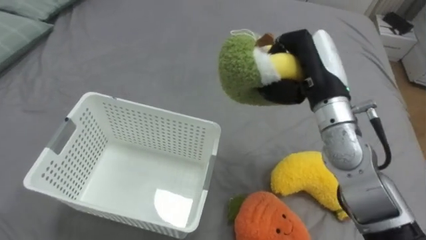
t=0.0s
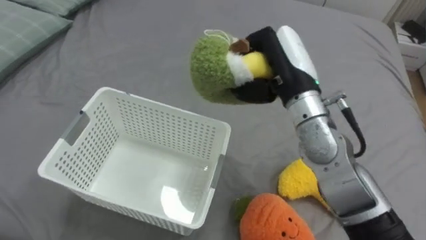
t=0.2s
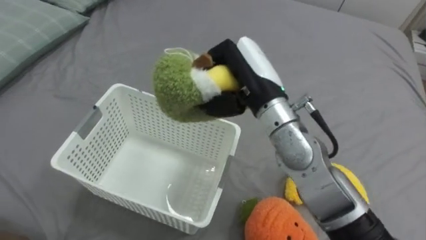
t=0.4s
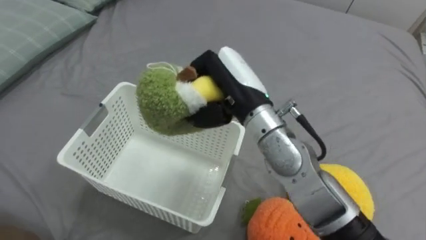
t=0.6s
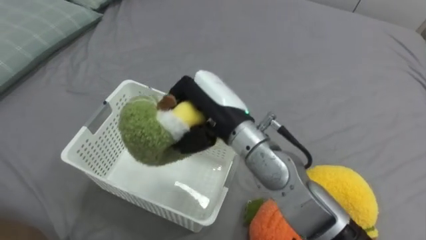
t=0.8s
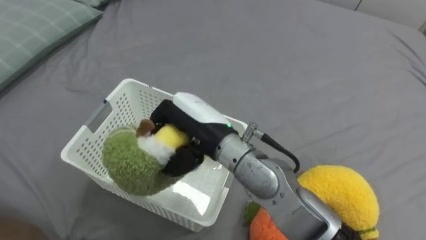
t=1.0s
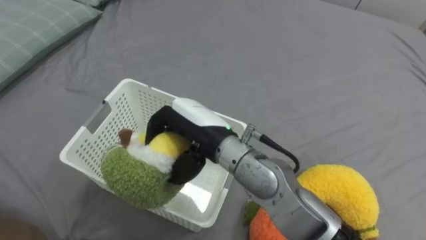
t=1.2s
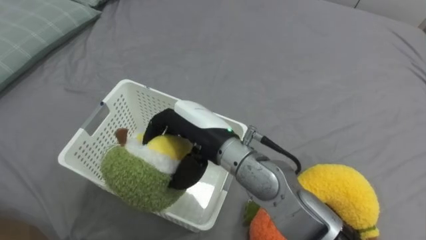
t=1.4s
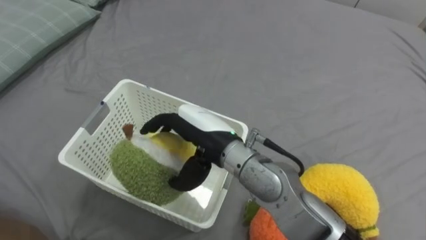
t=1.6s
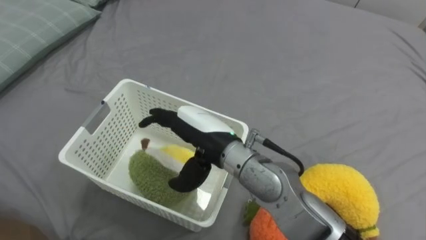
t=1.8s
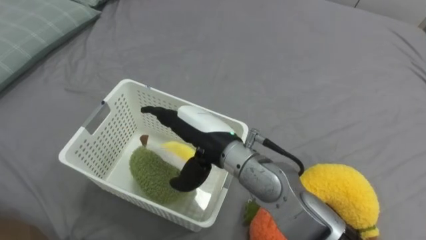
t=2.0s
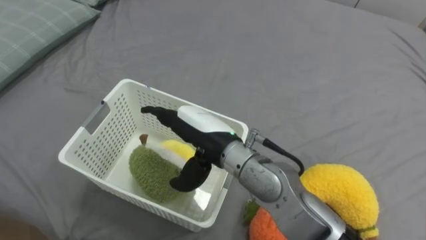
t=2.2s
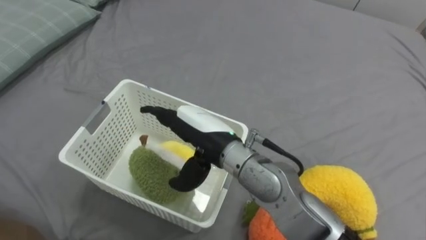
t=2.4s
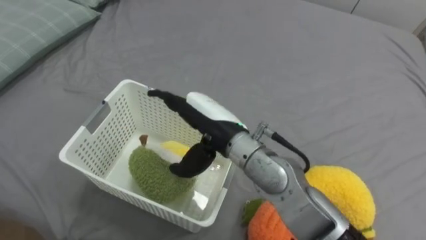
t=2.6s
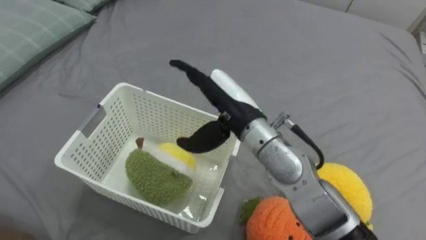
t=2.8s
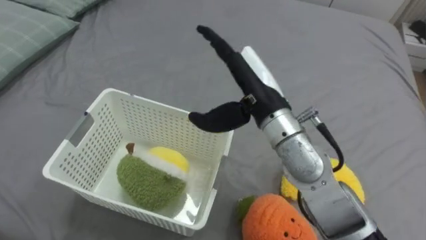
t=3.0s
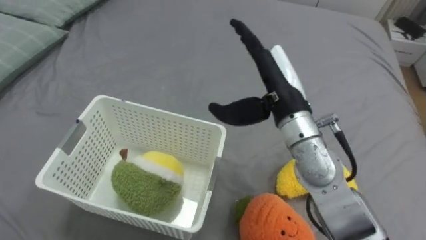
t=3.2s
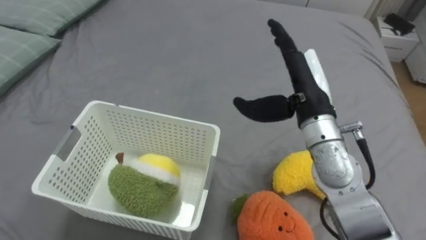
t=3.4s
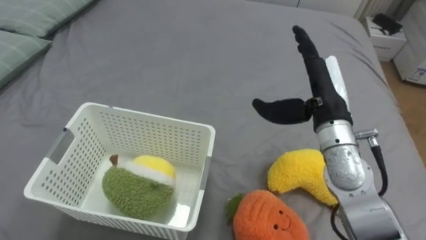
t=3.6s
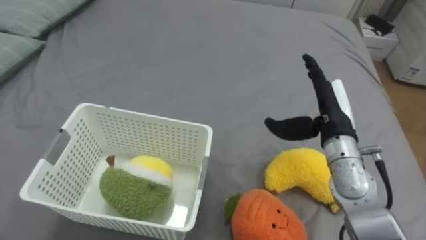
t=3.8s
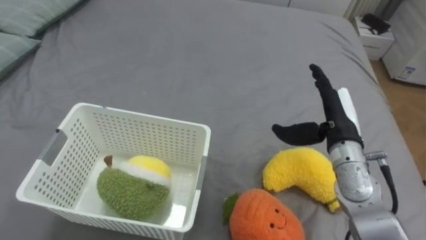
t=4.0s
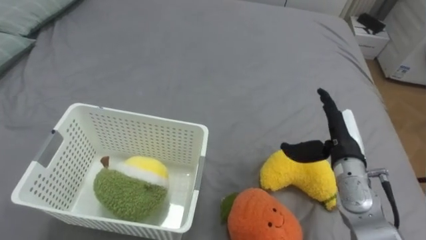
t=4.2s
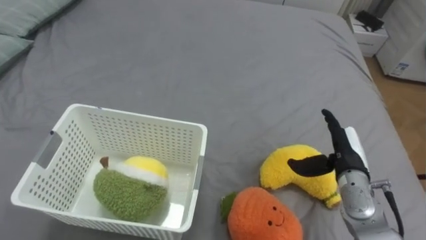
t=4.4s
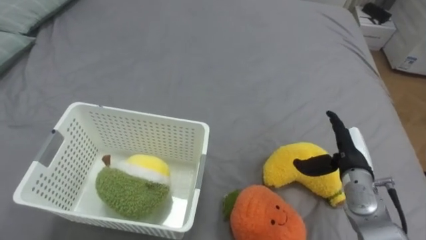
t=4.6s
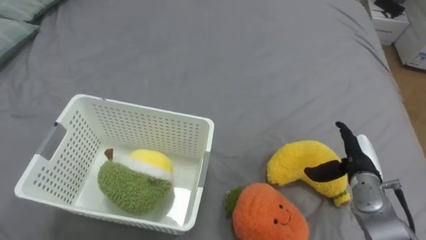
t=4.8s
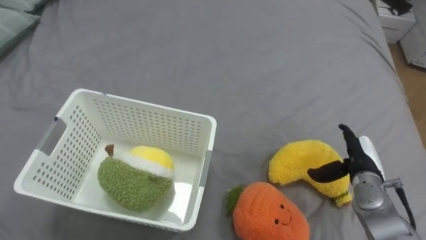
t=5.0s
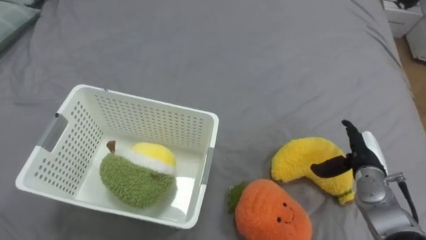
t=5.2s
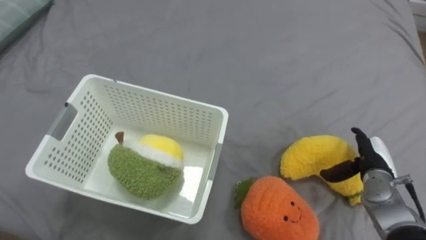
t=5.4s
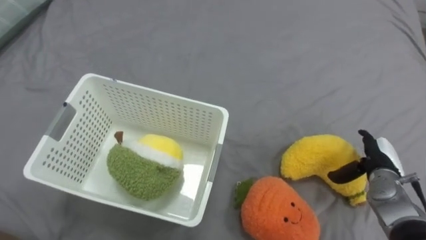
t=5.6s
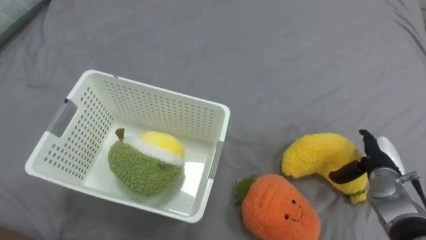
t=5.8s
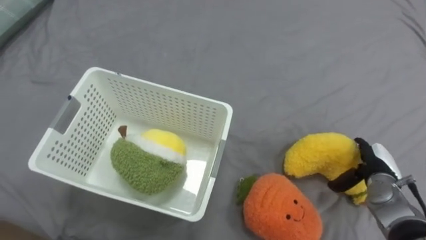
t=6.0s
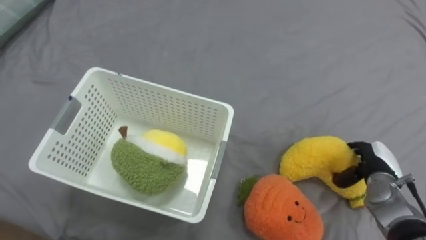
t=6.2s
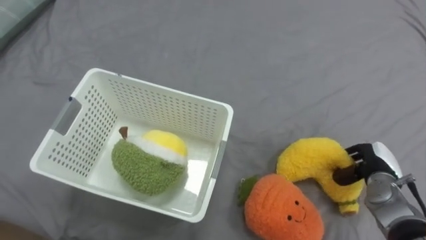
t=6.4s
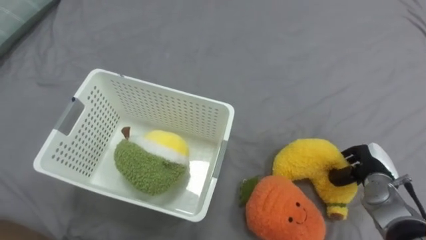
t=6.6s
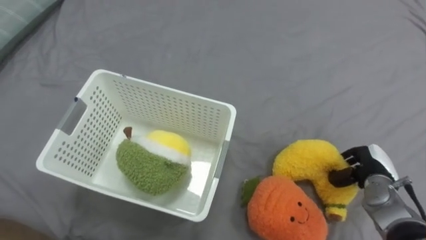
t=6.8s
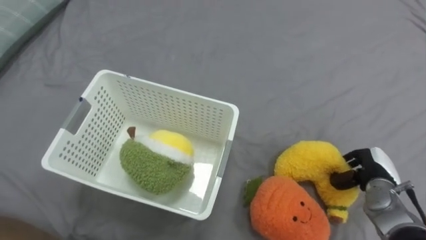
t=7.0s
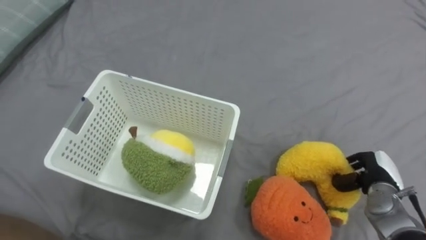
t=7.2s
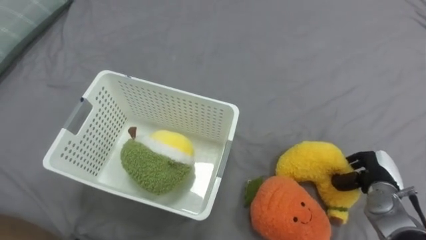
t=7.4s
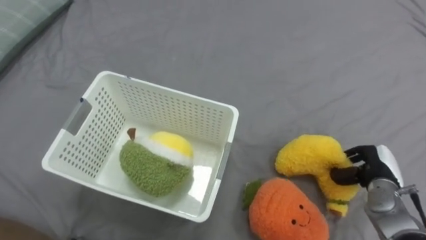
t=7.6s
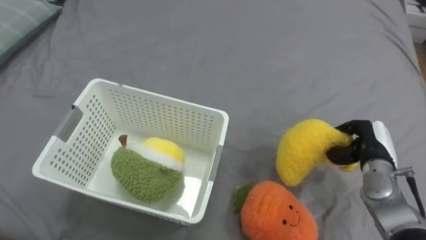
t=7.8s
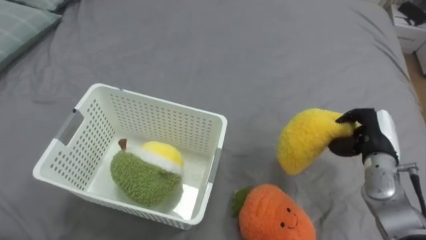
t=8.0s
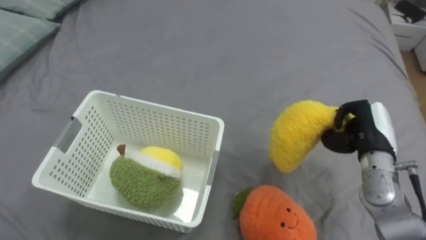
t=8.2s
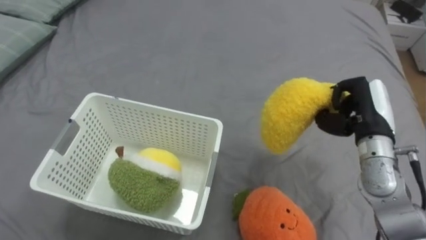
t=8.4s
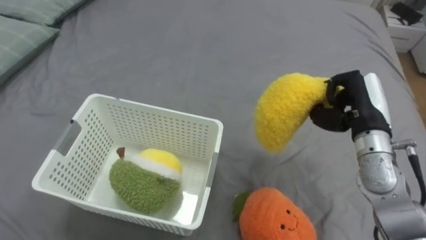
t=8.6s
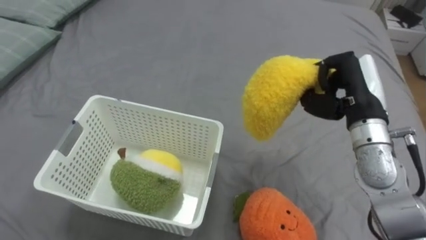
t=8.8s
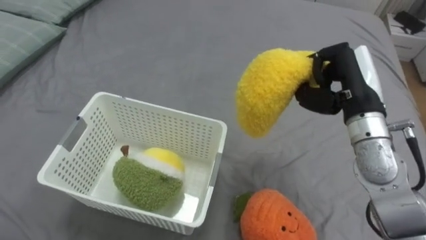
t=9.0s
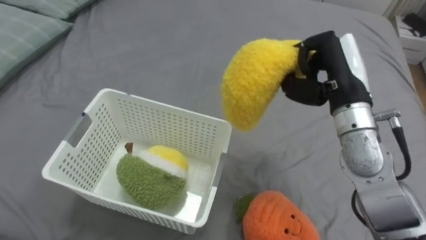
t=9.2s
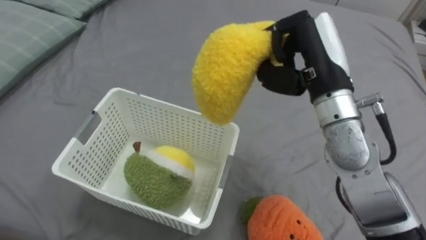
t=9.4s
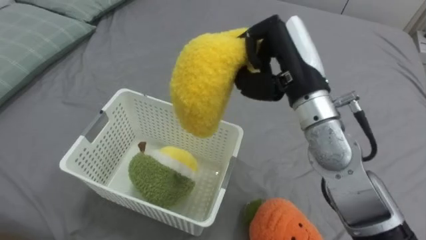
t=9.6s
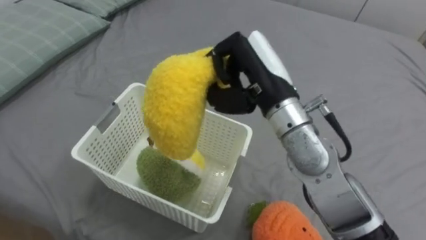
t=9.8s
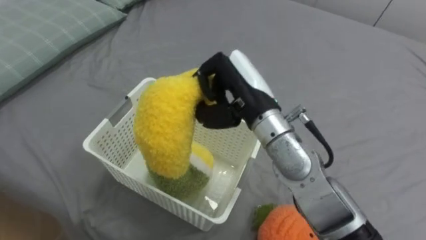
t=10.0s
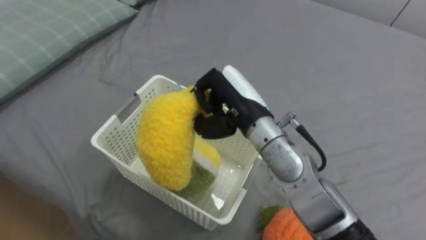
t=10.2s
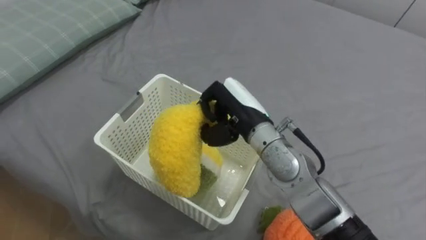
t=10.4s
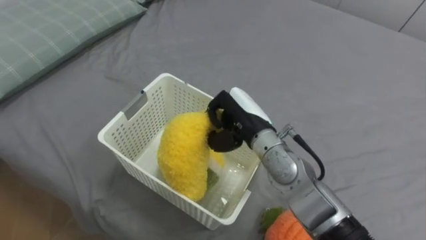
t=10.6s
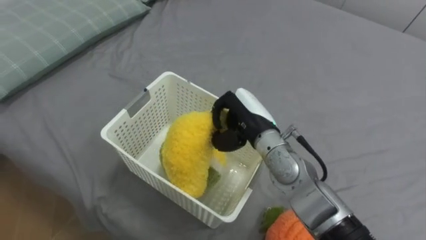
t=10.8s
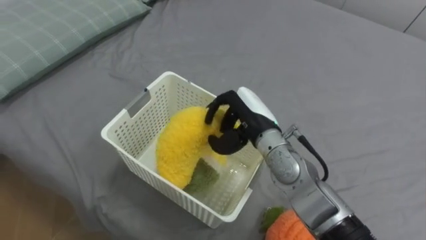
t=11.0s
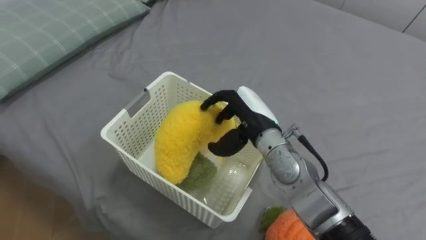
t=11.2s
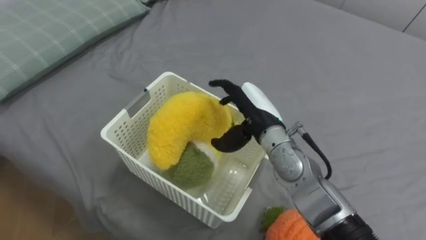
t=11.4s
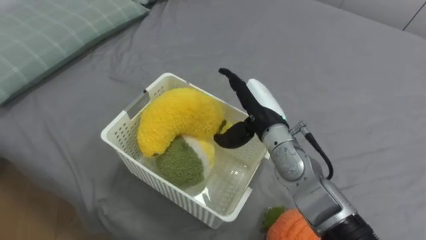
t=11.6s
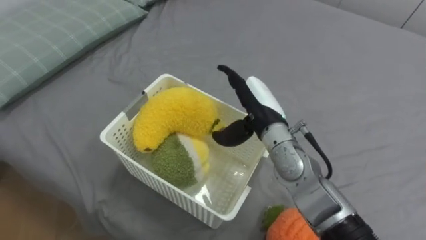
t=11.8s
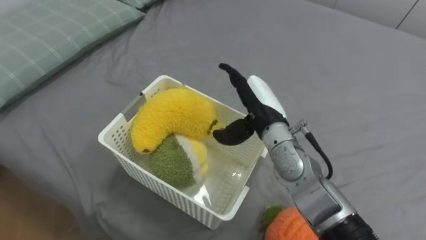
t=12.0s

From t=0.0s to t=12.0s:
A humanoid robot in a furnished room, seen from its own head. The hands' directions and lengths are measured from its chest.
Task of the whole recording: Put the toys on the bed into the basket on the left.
From t=0.0s to t=1.6s: The right hand travels to the left by roughly 20 cm, and opens its fingers.
From t=1.6s to t=3.0s: The right hand is displaced to the right and upward by about 10 cm.
From t=3.0s to t=4.4s: The right hand travels to the right and downward by some 25 cm.
From t=4.4s to t=6.0s: The right hand heads to the right and downward, covering approximately 10 cm.
From t=6.0s to t=7.6s: The right hand closes up.
From t=7.6s to t=9.0s: The right hand is displaced upward and to the left by approximately 25 cm.
From t=9.0s to t=10.4s: The right hand goes roughly 20 cm to the left.
From t=10.4s to t=12.0s: The right hand opens its fingers.

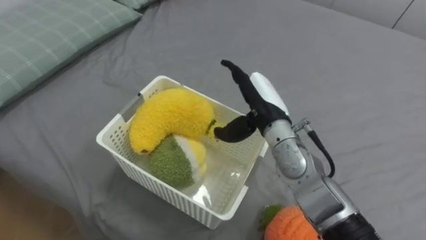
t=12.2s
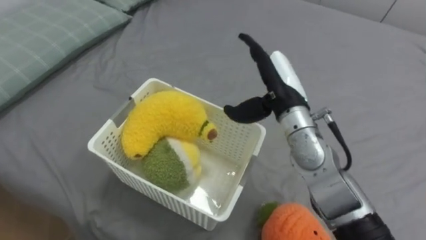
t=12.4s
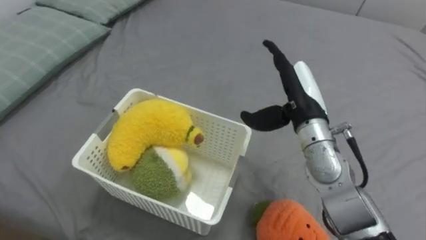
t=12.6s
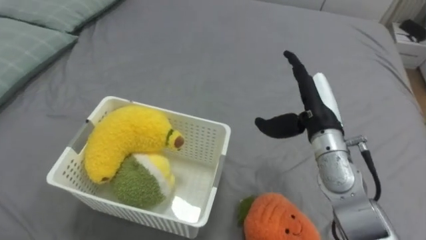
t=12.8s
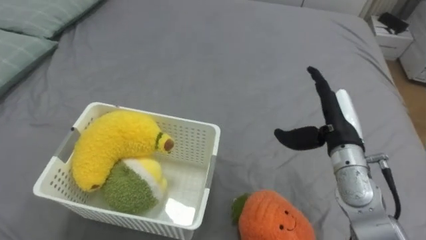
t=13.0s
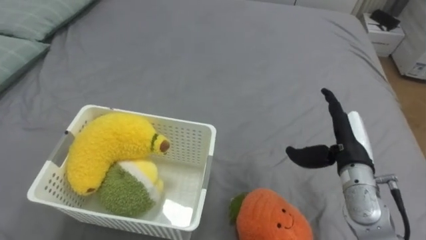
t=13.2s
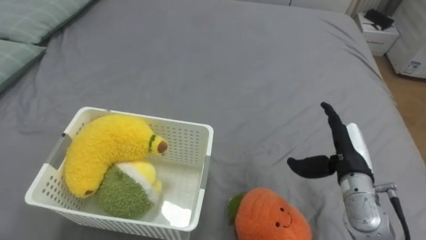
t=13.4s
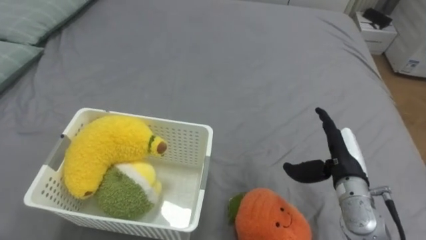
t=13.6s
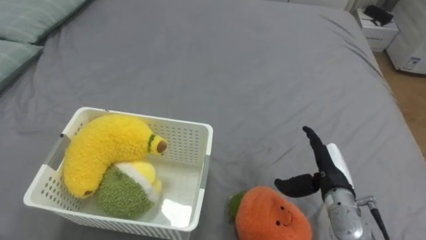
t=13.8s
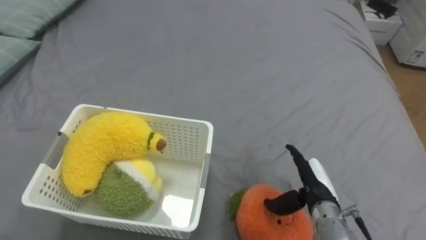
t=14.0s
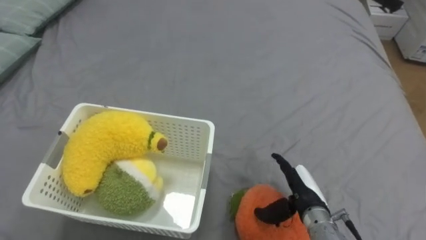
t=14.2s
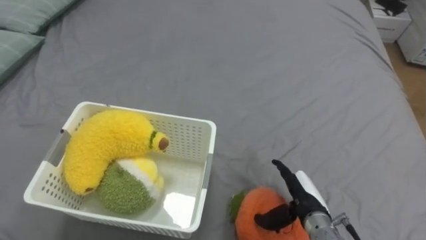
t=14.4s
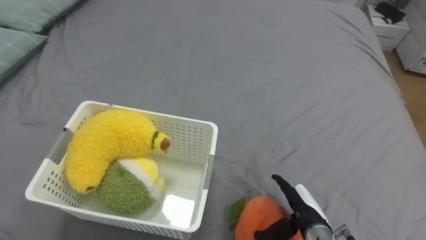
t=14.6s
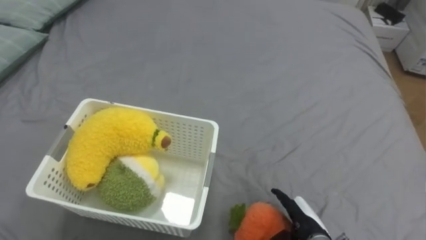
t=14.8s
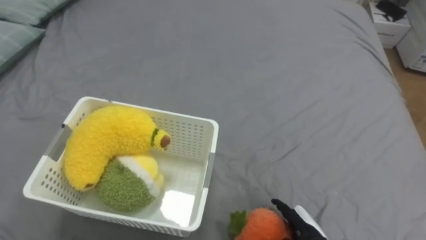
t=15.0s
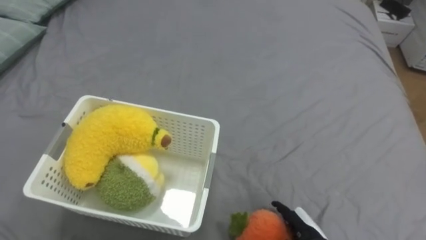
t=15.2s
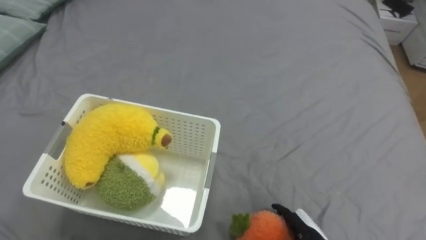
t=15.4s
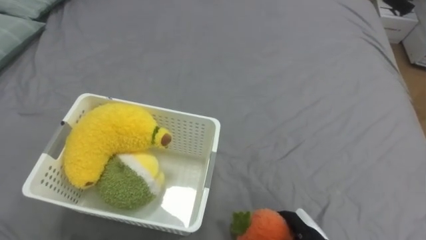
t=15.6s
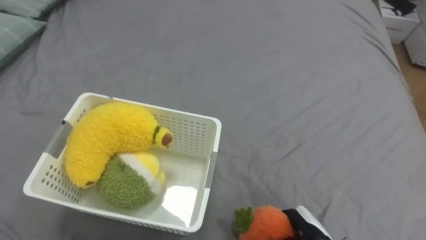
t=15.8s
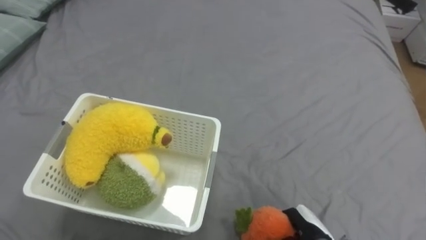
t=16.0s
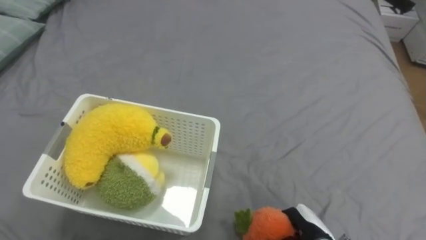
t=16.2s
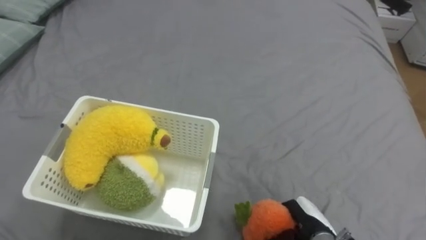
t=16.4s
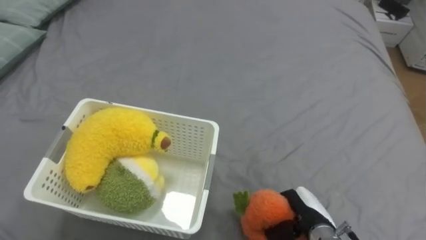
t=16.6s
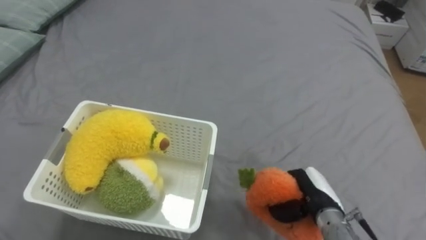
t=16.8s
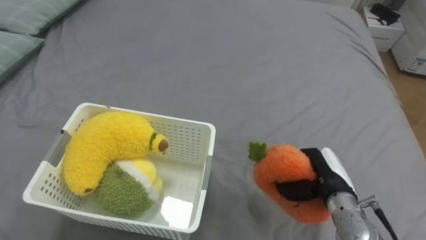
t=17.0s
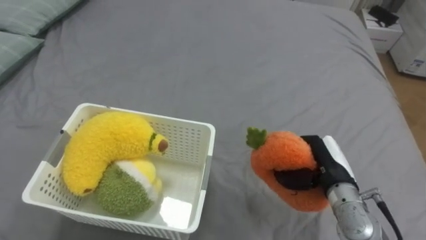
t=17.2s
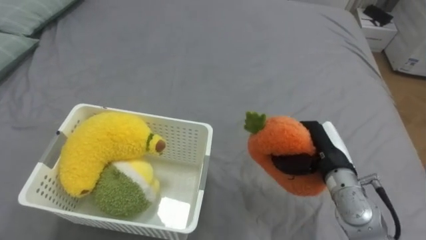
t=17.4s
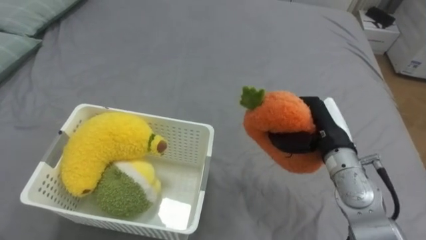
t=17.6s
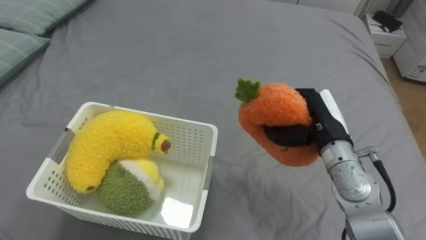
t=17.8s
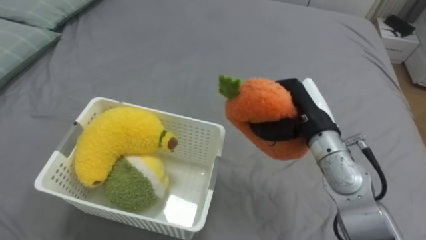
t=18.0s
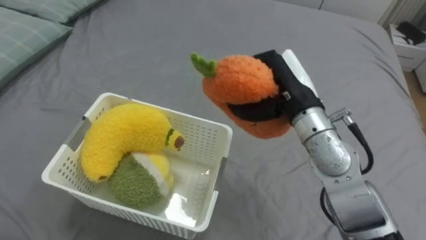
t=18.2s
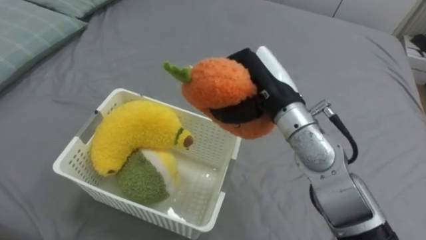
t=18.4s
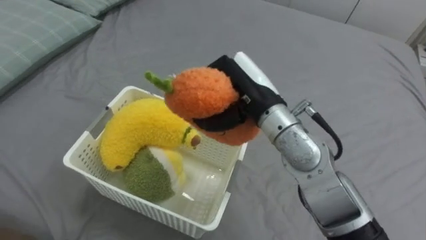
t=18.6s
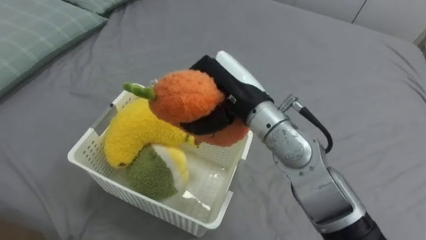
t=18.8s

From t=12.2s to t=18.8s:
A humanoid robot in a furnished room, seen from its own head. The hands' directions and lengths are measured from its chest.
Task of the whole recording: Put the toys on the bed into the basket on the left.
From t=12.2s to t=13.8s: The right hand moves to the right, downward and backward, approximately 20 cm.
From t=13.8s to t=15.4s: The right hand shifts approximately 15 cm downward and backward.
From t=15.4s to t=17.2s: The right hand shifts roughly 15 cm upward and forward, and closes.
From t=17.2s to t=18.8s: The right hand is displaced to the left and upward by some 25 cm.
